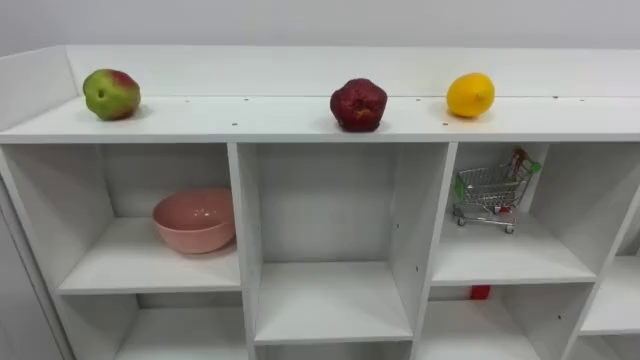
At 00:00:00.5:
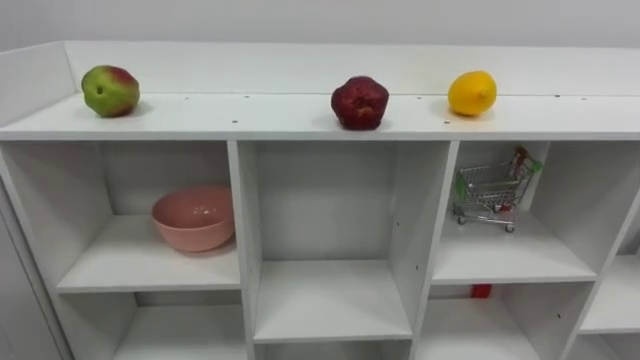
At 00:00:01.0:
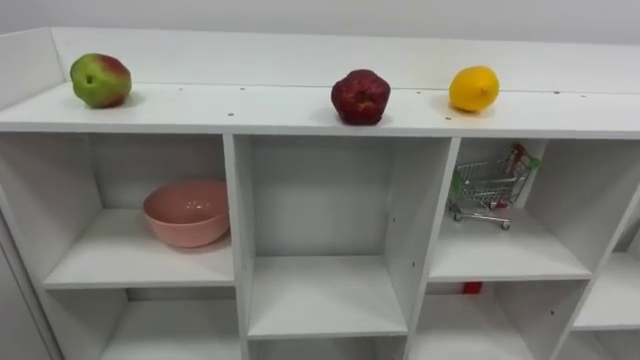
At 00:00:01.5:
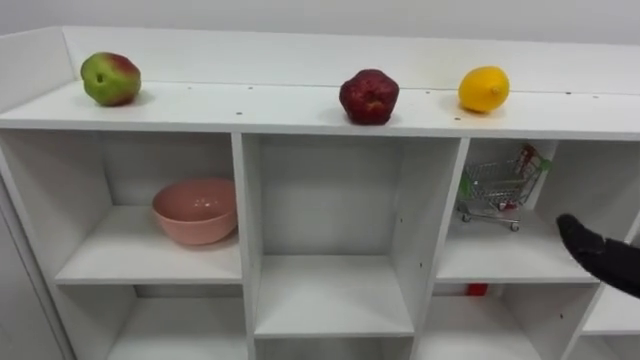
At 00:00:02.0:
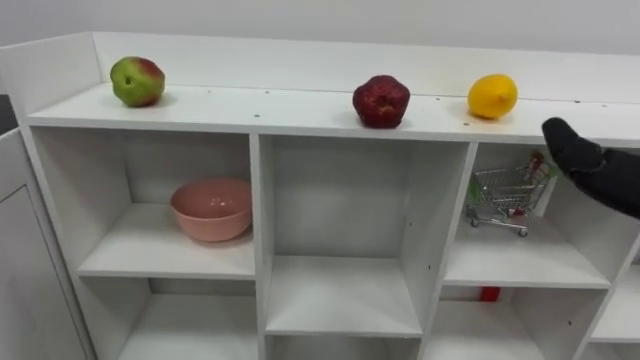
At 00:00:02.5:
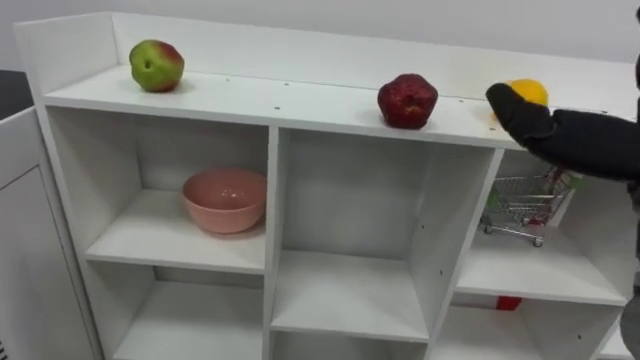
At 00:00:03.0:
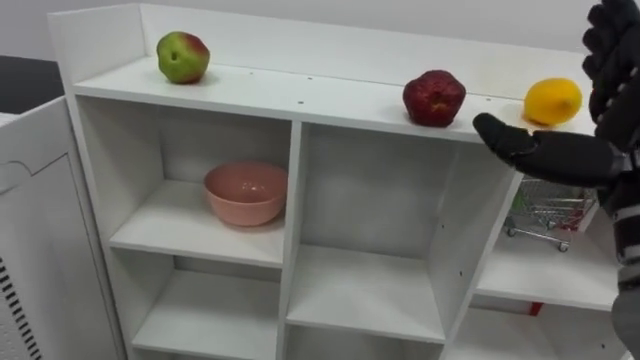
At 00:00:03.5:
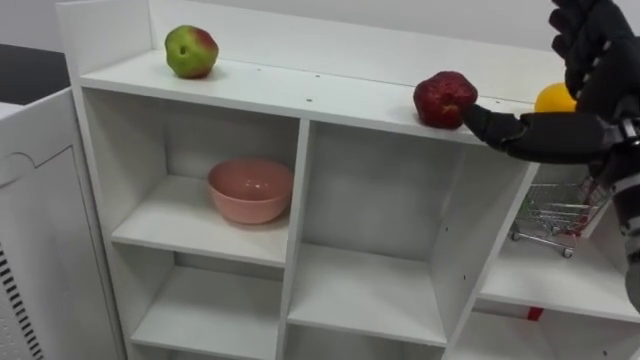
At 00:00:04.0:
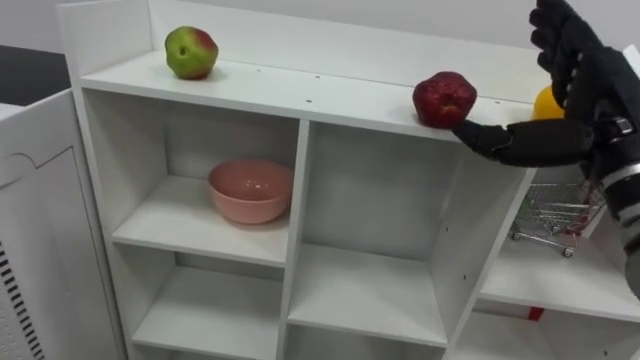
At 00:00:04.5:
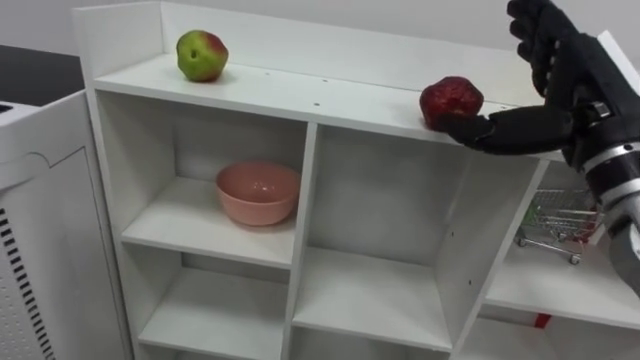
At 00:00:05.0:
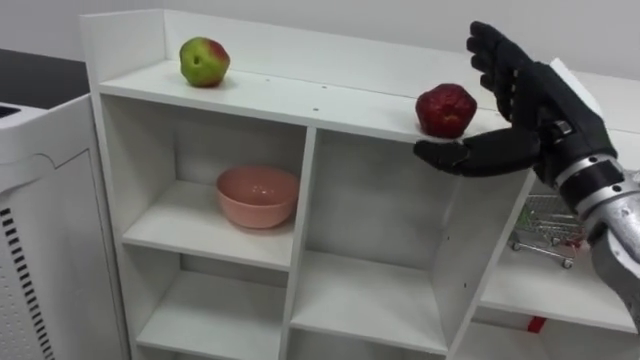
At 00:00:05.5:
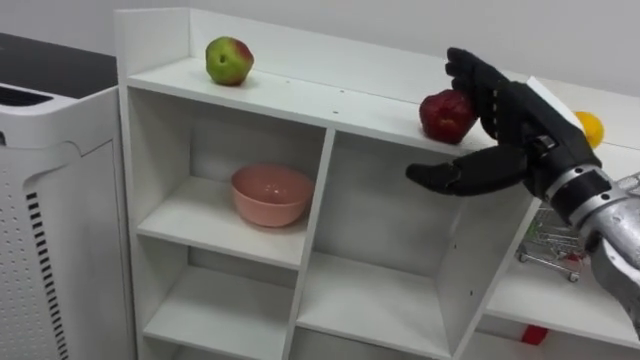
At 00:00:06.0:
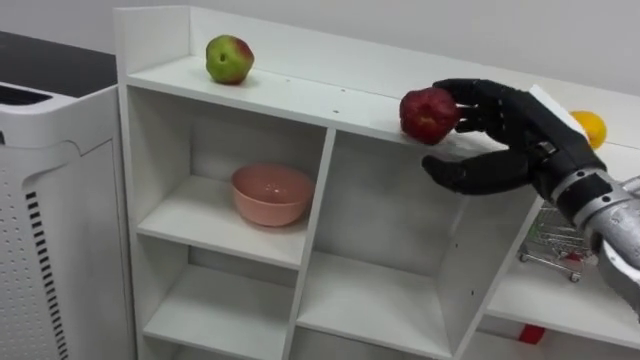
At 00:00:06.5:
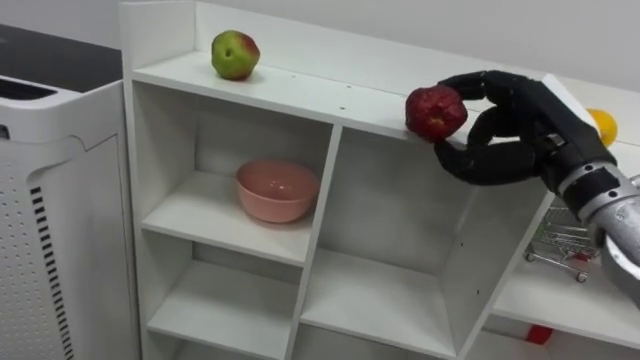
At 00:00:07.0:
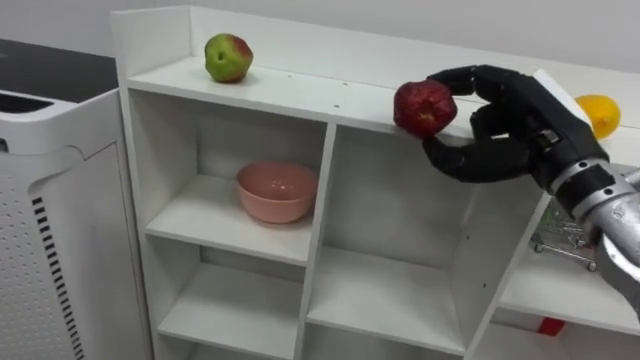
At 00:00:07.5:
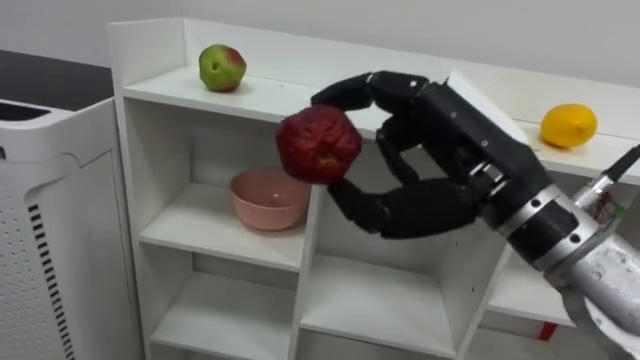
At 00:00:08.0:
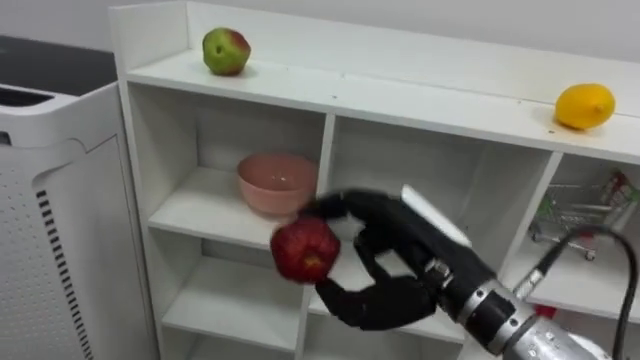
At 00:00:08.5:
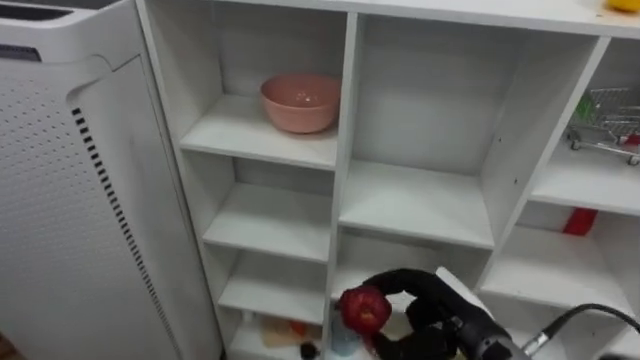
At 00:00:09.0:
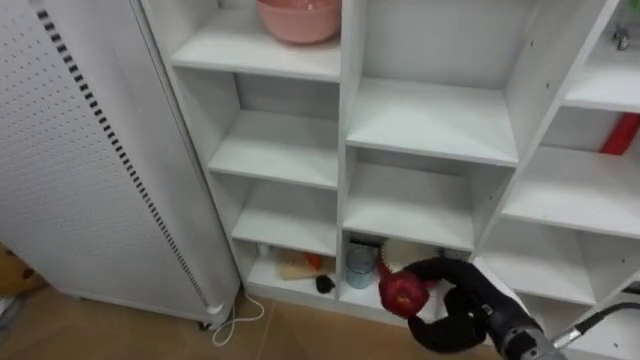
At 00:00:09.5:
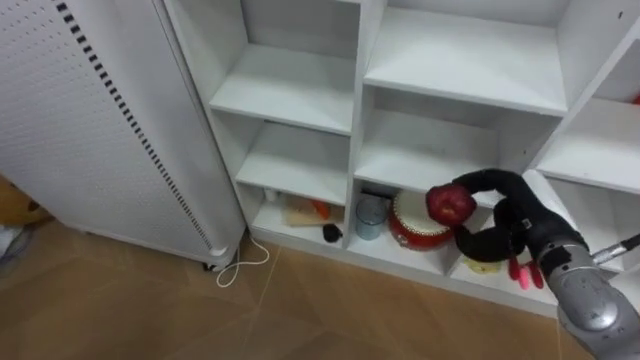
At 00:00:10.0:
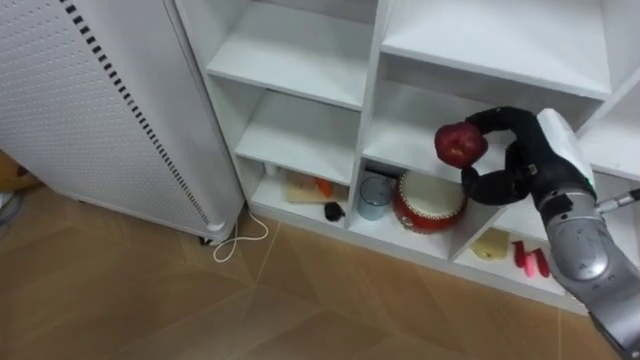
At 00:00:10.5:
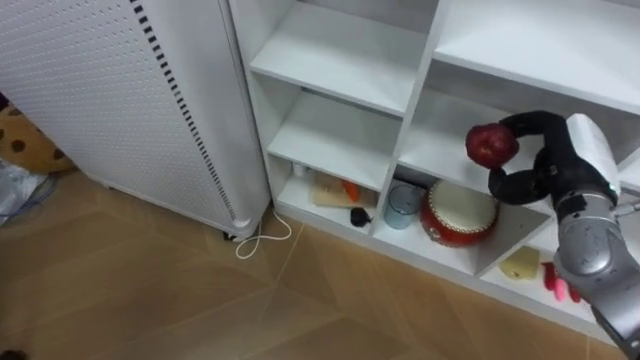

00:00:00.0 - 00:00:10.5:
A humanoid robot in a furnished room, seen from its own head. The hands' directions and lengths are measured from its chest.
Task of the whole recording: Put the apple in the cell in the second column from the left and the second row from the top.
00:00:04.0 - 00:00:06.5: The right hand changes place by about 5 cm, and closes.
00:00:06.5 - 00:00:08.5: The right hand heads downward, covering approximately 20 cm.
00:00:08.5 - 00:00:10.5: The right hand goes approximately 20 cm upward, to the right and forward.

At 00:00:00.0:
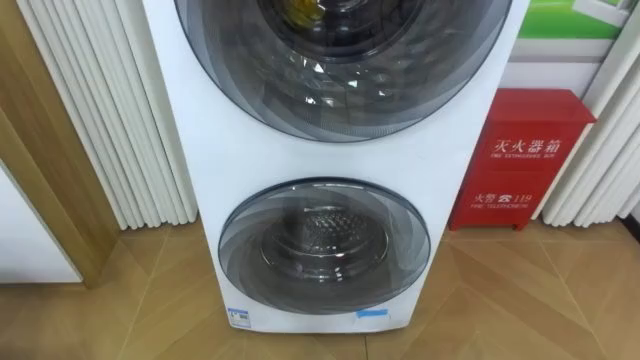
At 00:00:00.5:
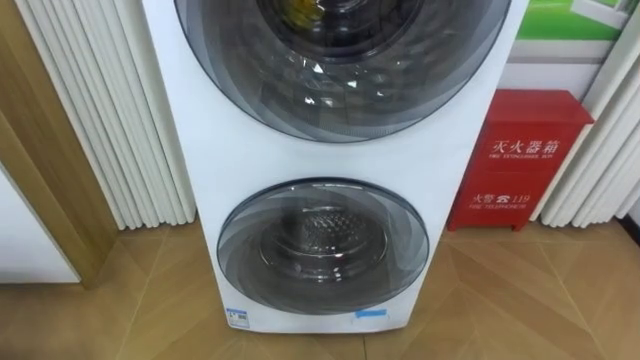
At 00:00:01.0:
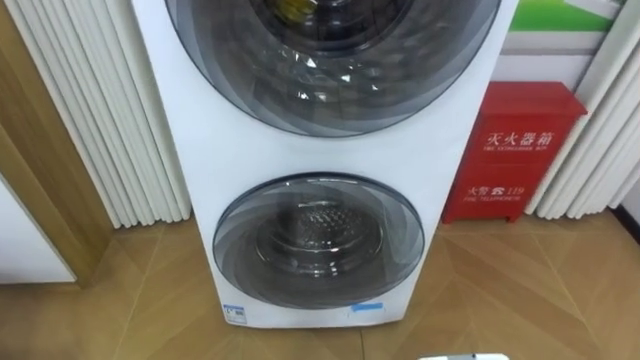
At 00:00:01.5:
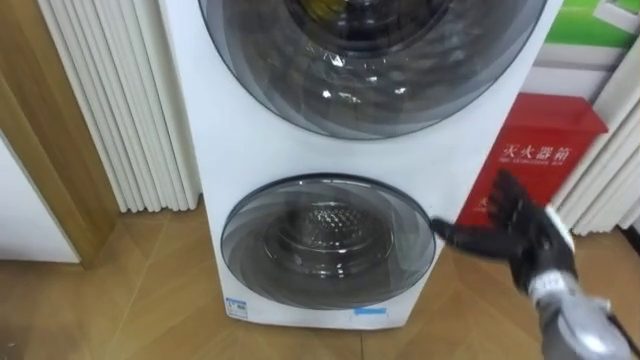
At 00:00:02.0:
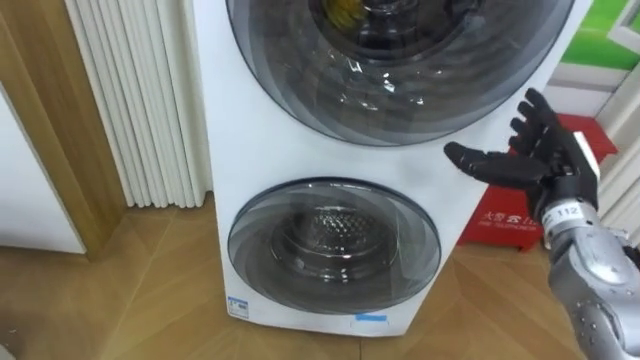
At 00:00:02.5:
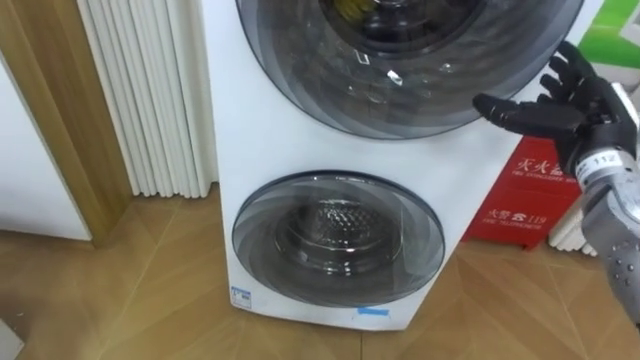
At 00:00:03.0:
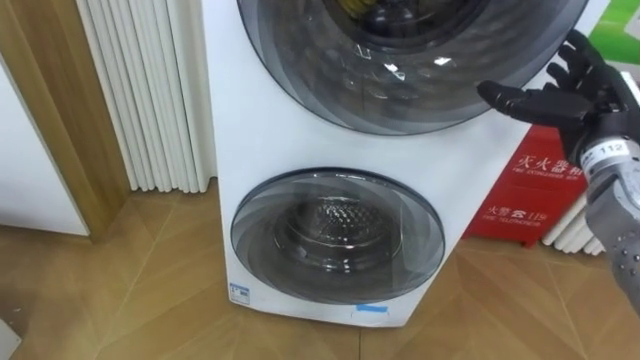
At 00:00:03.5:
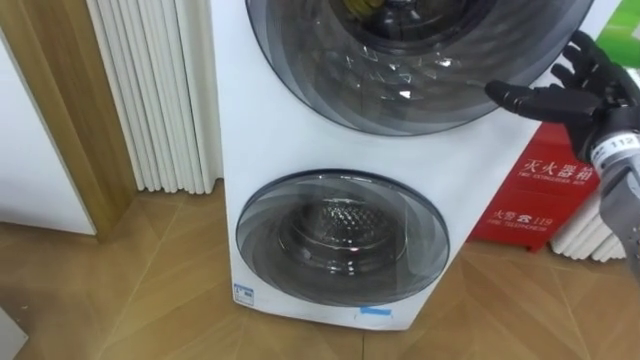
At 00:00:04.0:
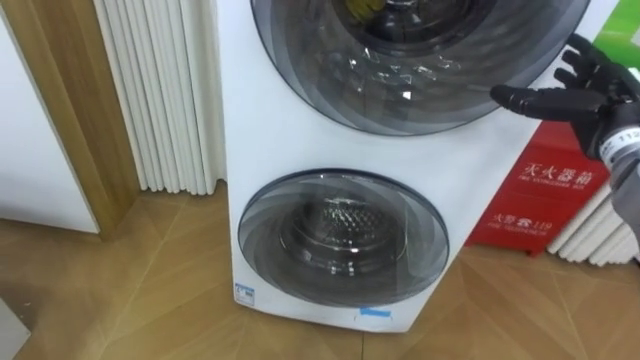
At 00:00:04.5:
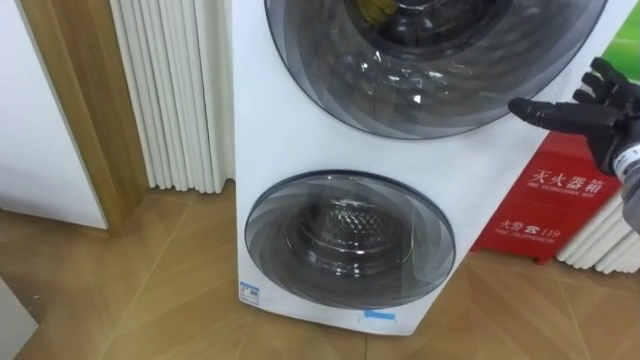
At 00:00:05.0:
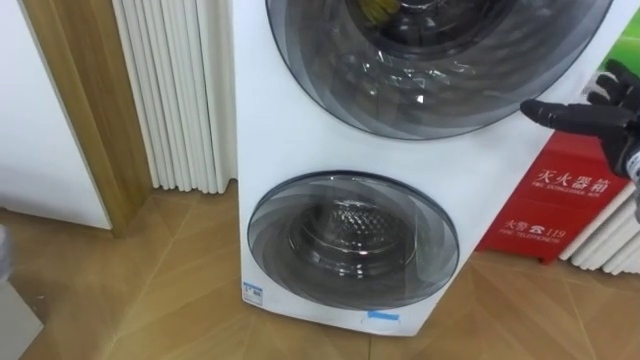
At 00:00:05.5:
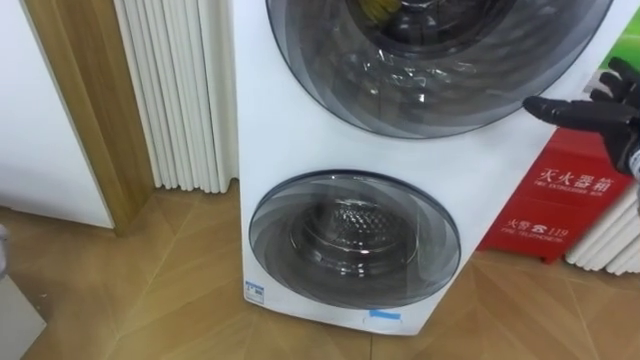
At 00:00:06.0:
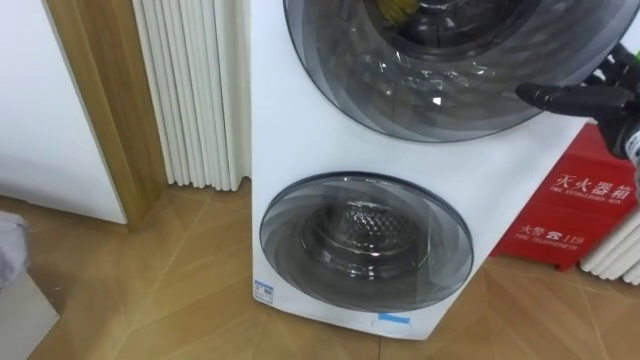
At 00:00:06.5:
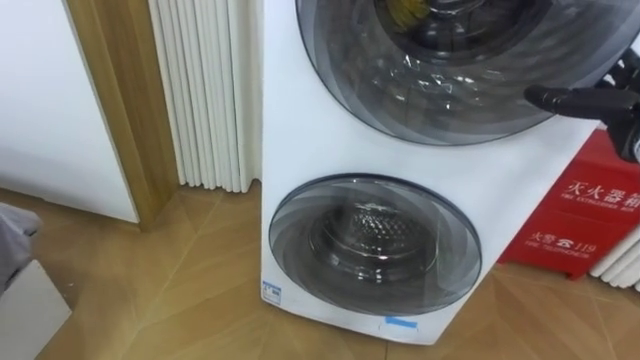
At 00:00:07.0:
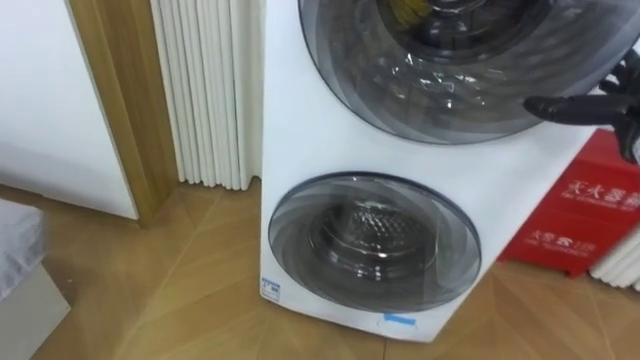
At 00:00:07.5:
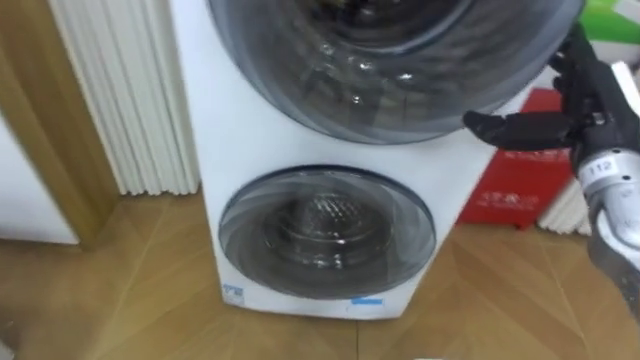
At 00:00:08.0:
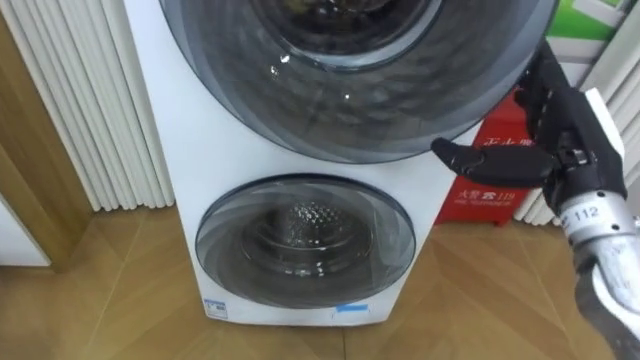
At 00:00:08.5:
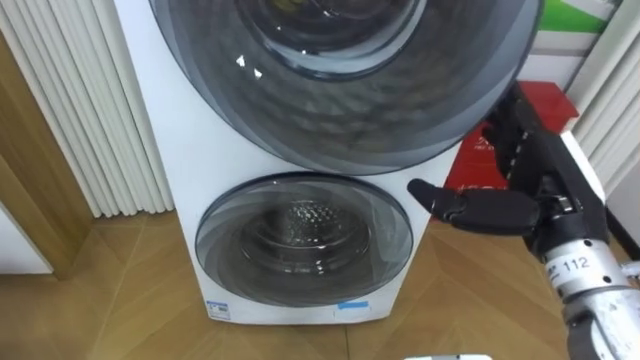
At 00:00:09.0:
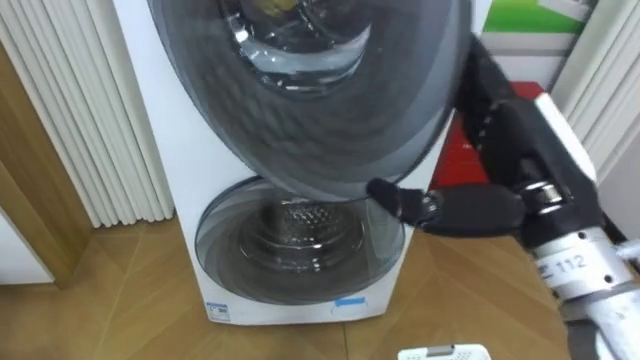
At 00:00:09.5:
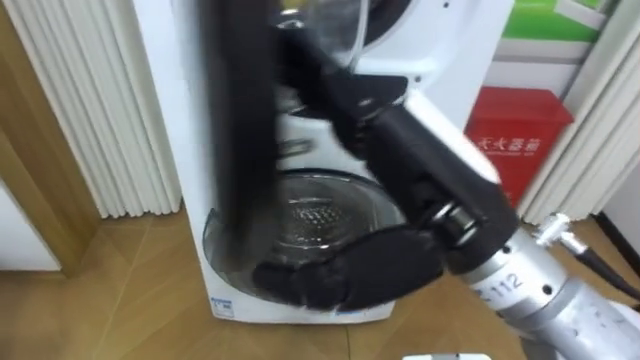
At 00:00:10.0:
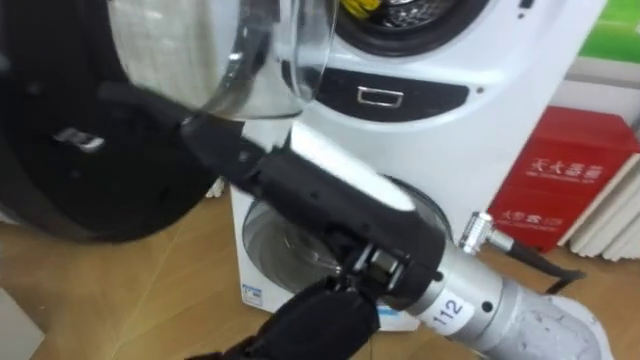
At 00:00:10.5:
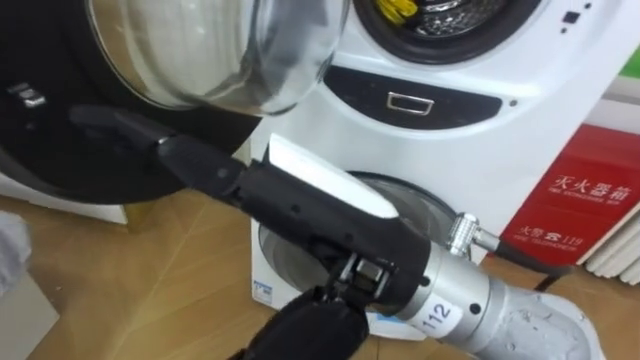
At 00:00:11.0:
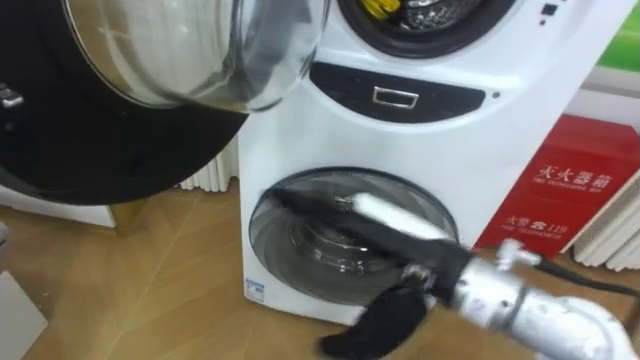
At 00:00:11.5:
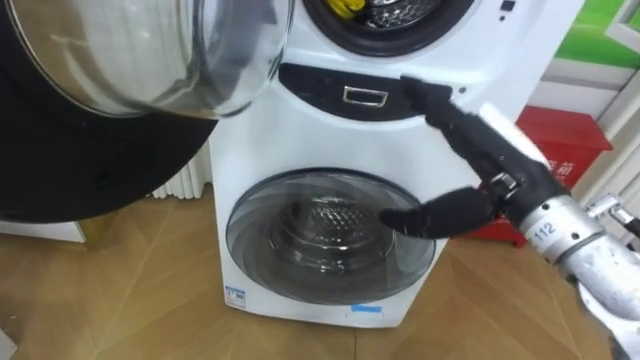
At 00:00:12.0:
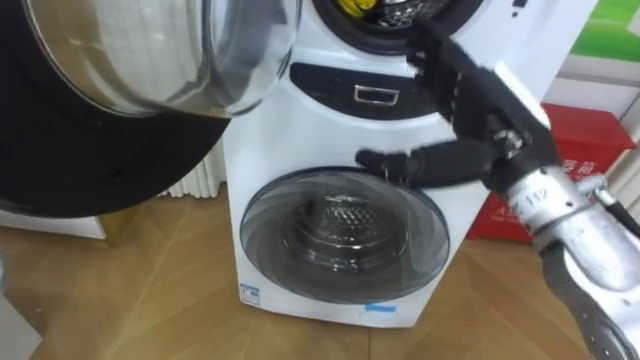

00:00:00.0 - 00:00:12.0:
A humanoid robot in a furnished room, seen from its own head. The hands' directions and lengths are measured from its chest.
Task of the whole recording: Open the washing machine door, take out the yellow clothes, place them in the box on the right, and close the washing machine door.
00:00:02.0 - 00:00:04.0: The right hand moves upward, about 5 cm.
00:00:06.0 - 00:00:08.0: The right hand shifts roughly 15 cm to the left and backward.
00:00:08.0 - 00:00:10.0: The right hand is displaced to the left and backward by roughly 25 cm.
00:00:10.0 - 00:00:12.0: The right hand is displaced to the right and forward by approximately 20 cm.
